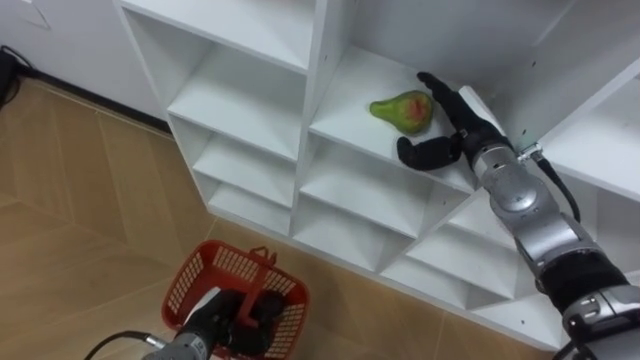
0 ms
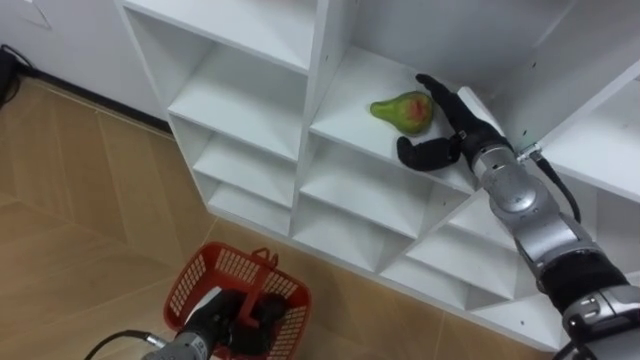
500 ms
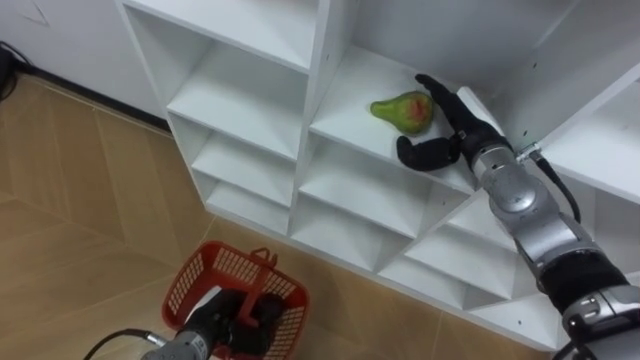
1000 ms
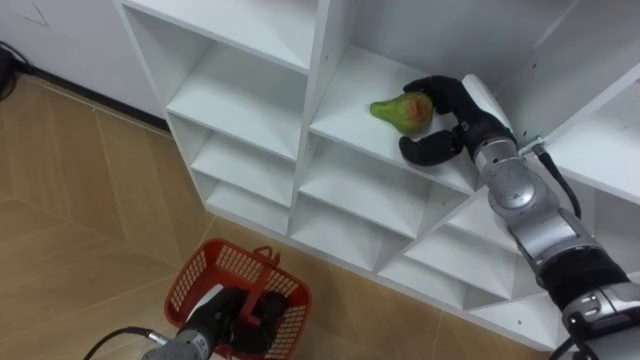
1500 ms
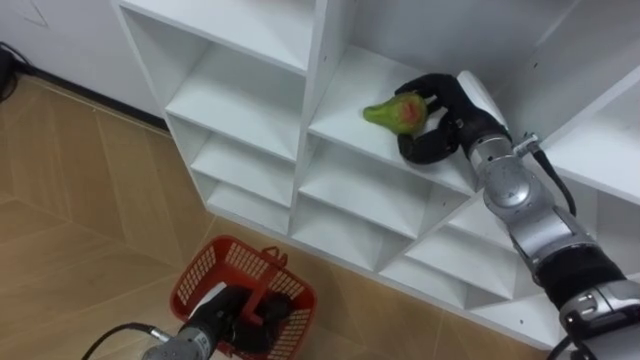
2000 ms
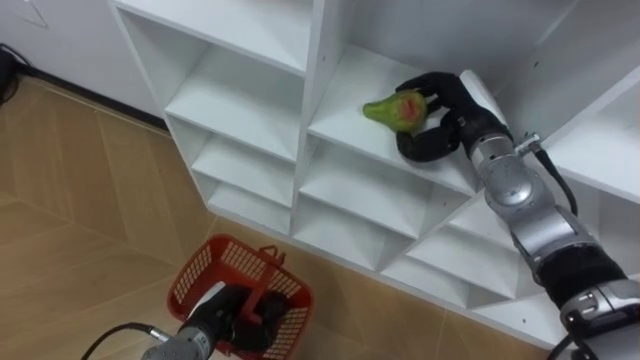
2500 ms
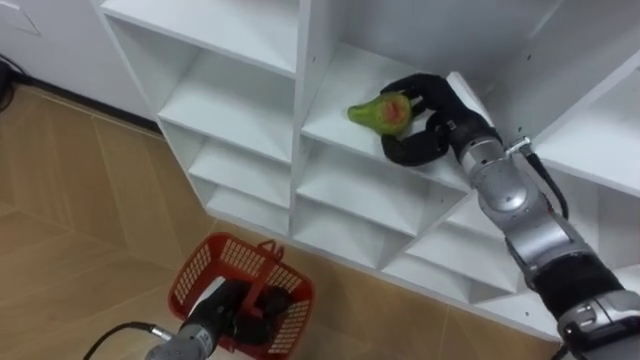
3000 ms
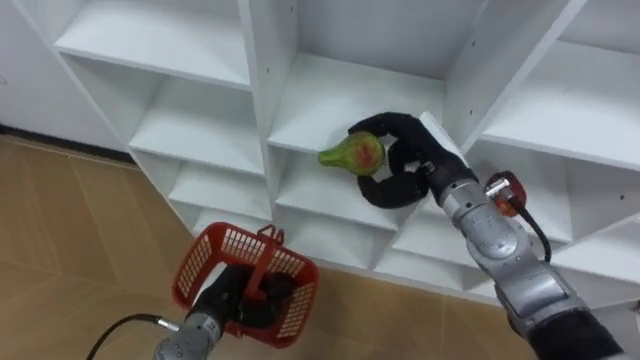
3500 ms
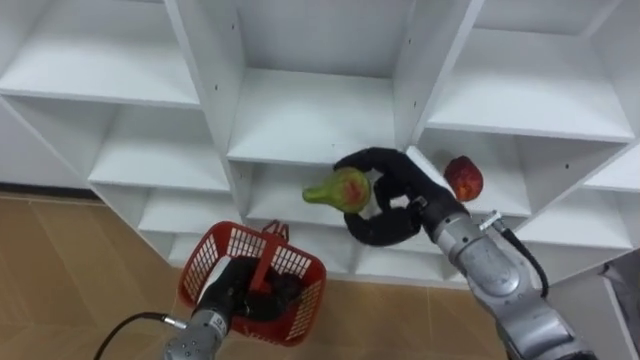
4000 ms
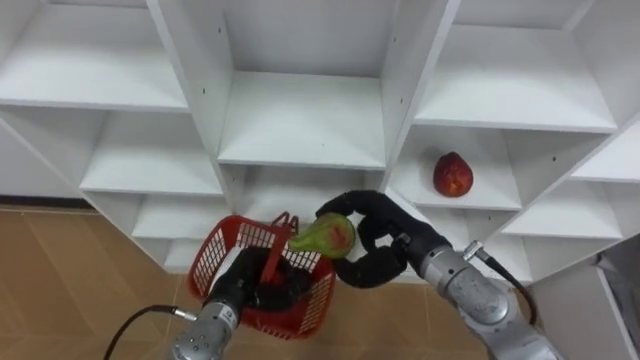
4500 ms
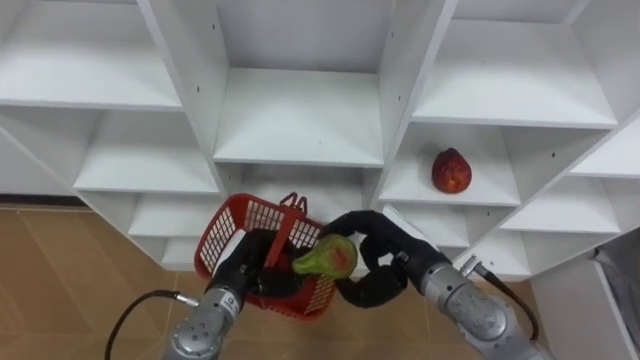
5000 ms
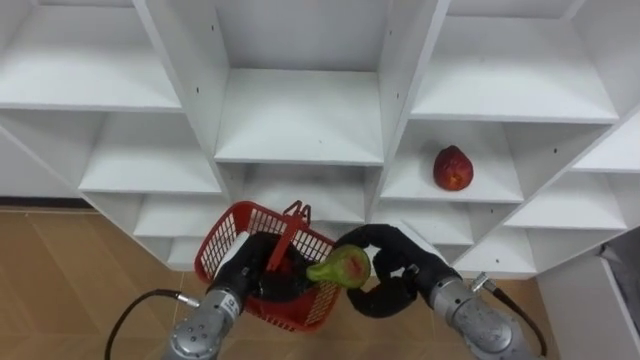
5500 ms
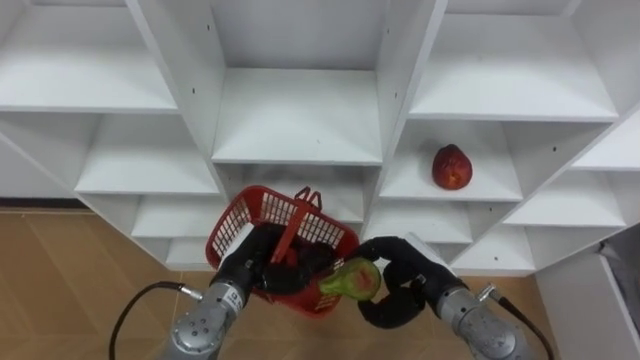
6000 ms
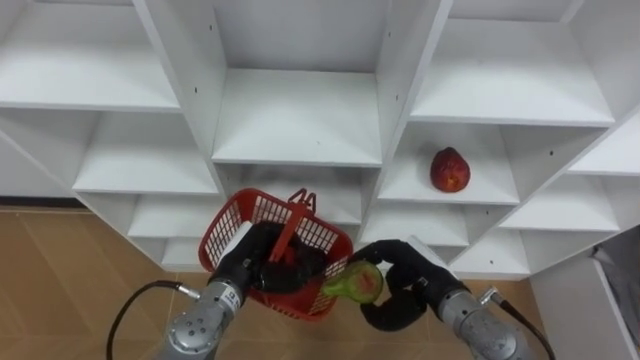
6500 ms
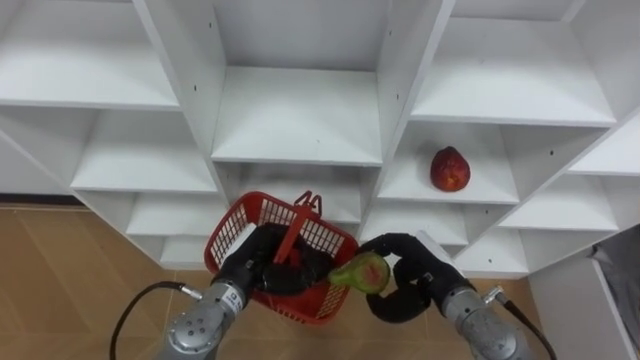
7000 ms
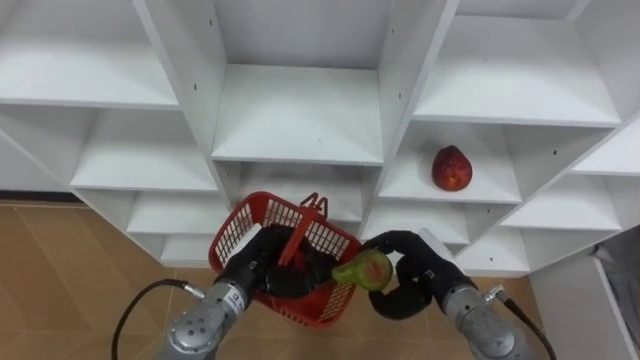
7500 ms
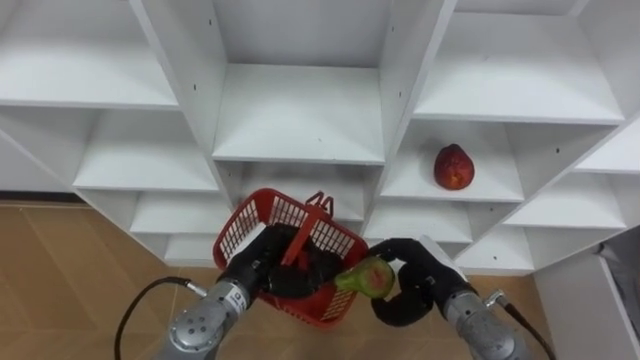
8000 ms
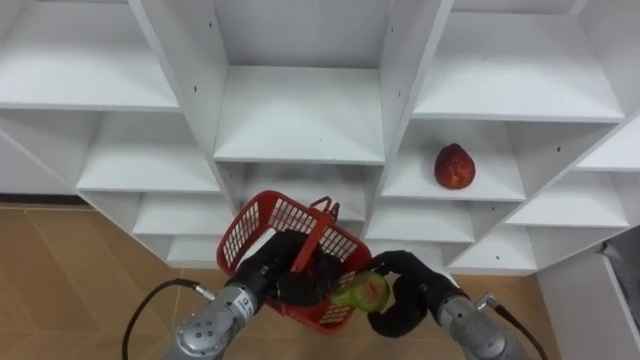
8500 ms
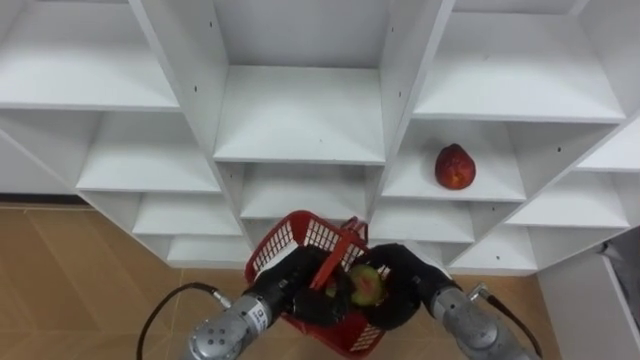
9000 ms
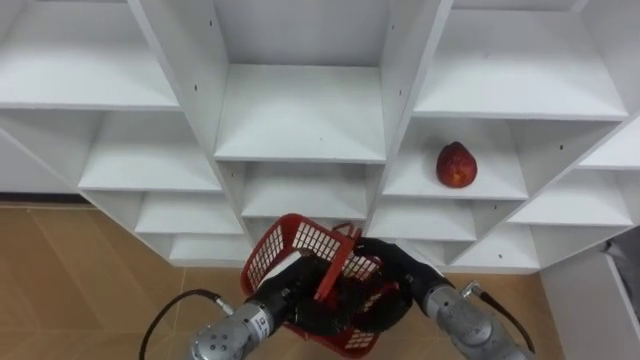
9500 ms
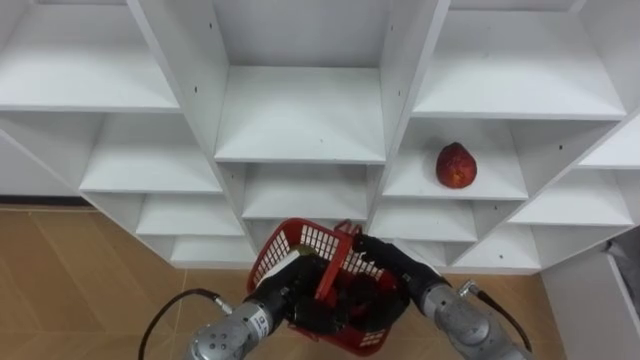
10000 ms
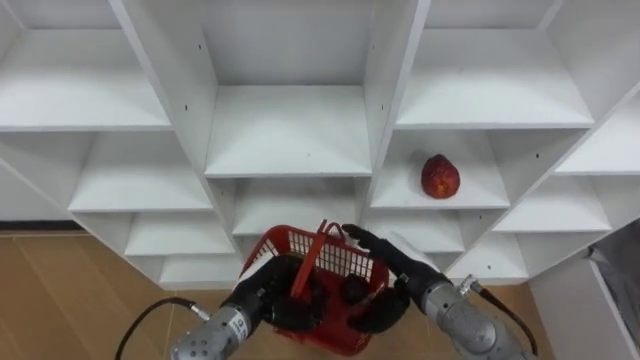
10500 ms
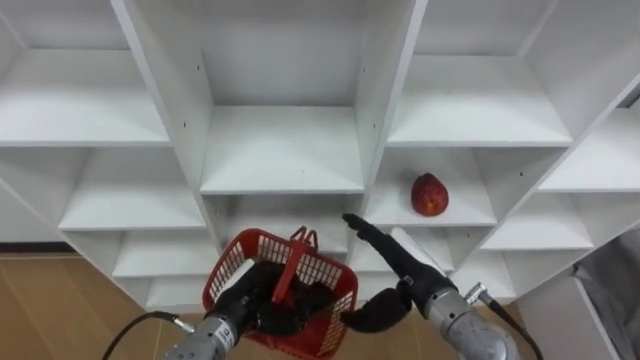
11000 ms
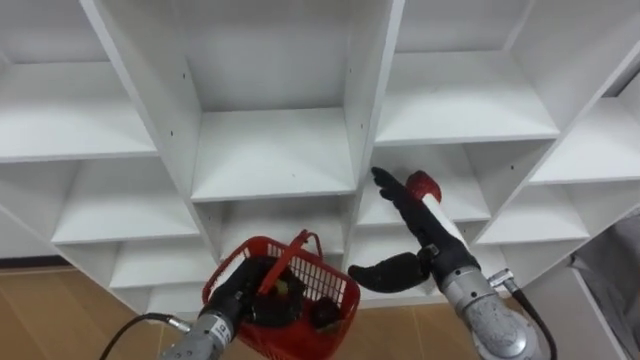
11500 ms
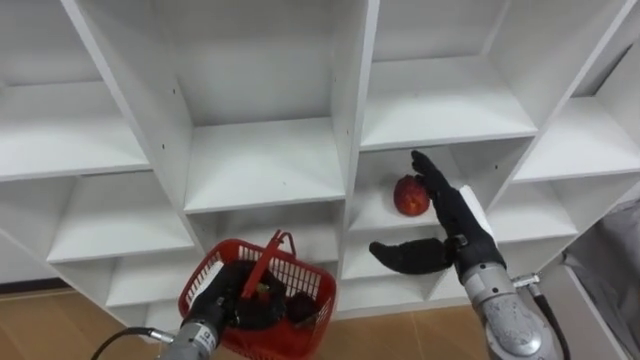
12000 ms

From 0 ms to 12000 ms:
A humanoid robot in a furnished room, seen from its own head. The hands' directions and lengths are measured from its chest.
Task of the whole recording: Hold the basket and collect the fruits from 3 different cells of the closet into it.
From 0 ms to 2000 ms: The right hand closes its fingers.
From 2000 ms to 4000 ms: The right hand shifts some 10 cm backward and to the left.
From 4000 ms to 6000 ms: The right hand is displaced downward and backward by approximately 10 cm. The left hand changes place by some 5 cm.
From 6000 ms to 8000 ms: The hands move only a little.
From 8000 ms to 10000 ms: The right hand opens its fingers. Meanwhile the left hand moves some 5 cm.
From 10000 ms to 12000 ms: The right hand travels upward and to the right by some 10 cm. The left hand goes approximately 10 cm to the left.

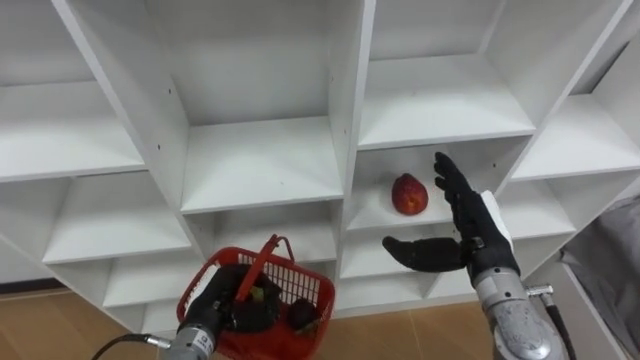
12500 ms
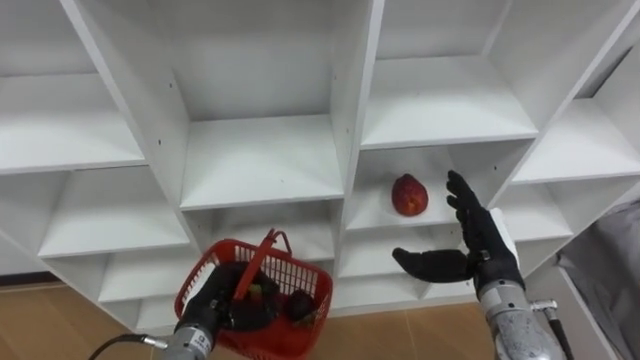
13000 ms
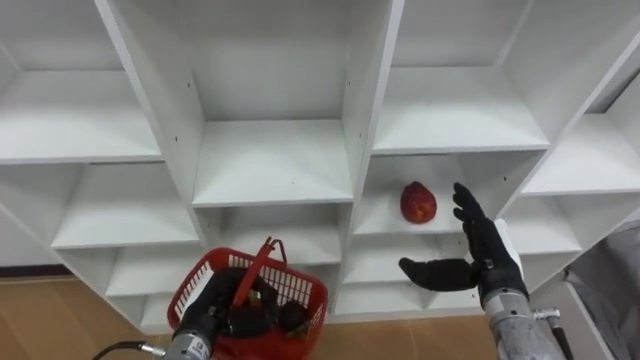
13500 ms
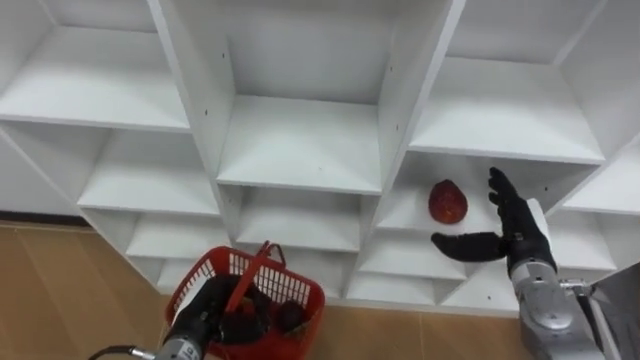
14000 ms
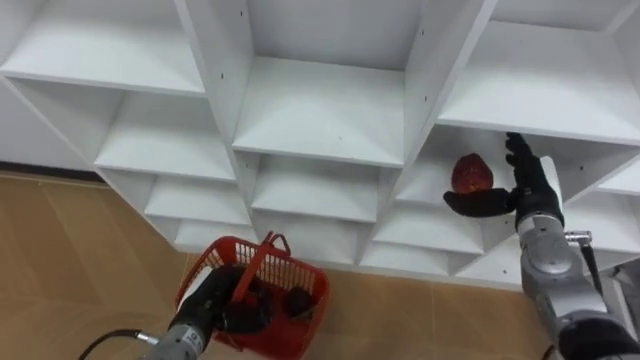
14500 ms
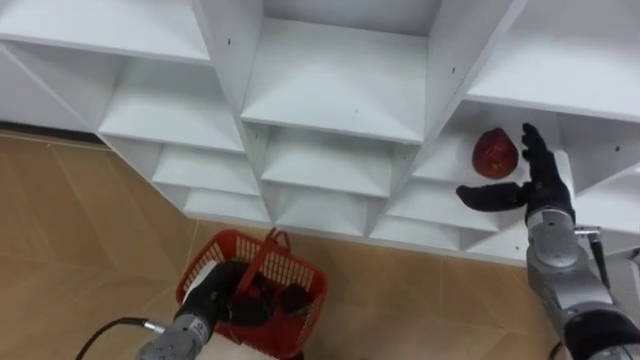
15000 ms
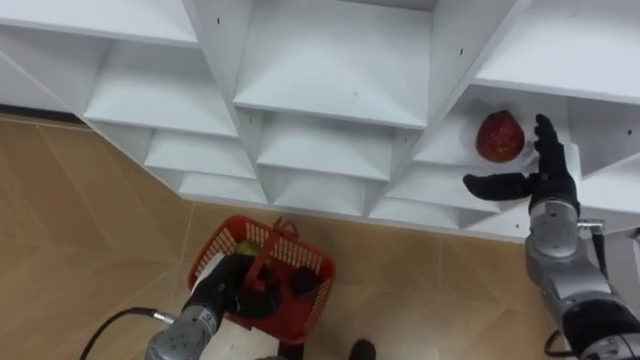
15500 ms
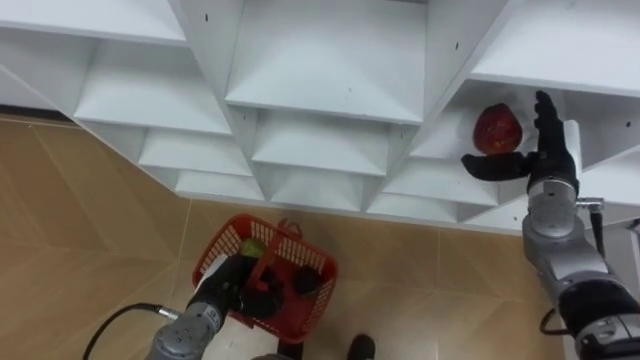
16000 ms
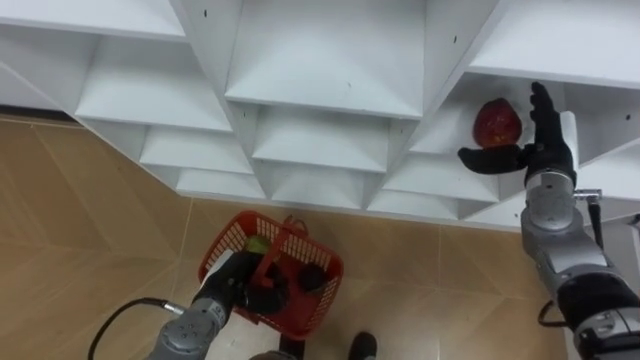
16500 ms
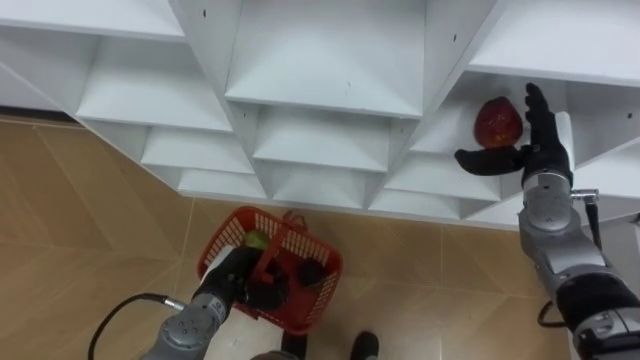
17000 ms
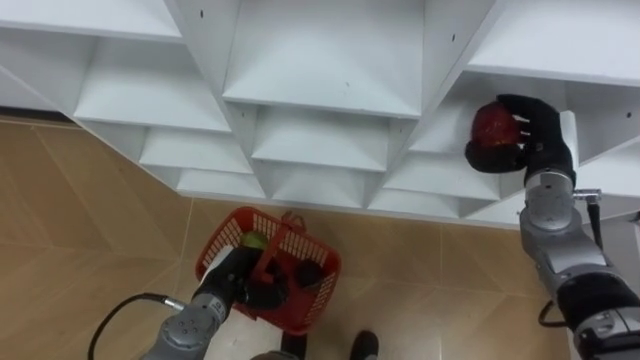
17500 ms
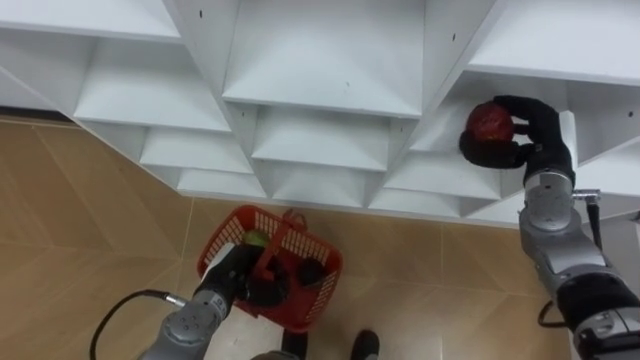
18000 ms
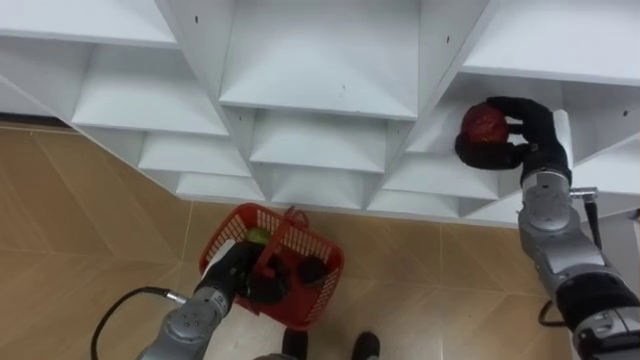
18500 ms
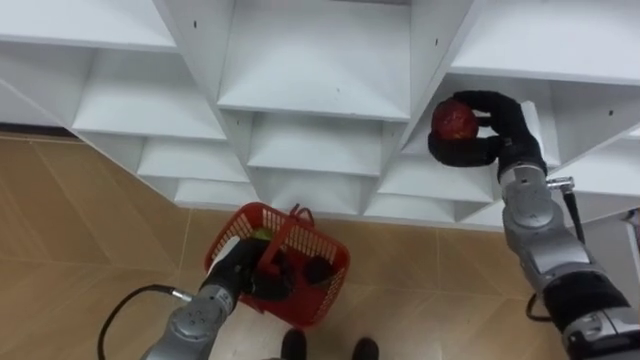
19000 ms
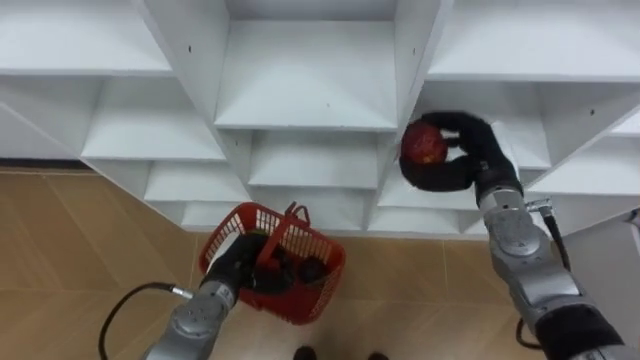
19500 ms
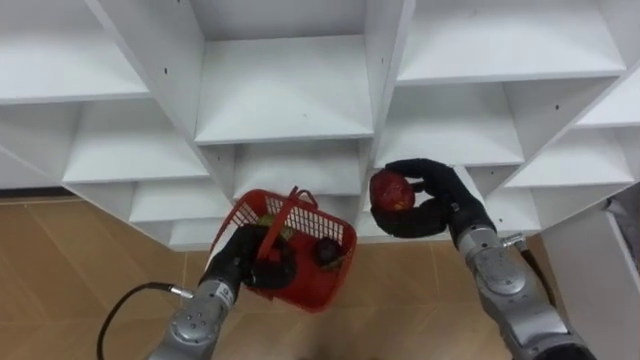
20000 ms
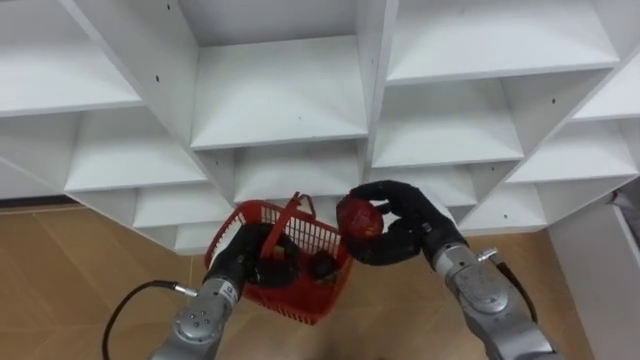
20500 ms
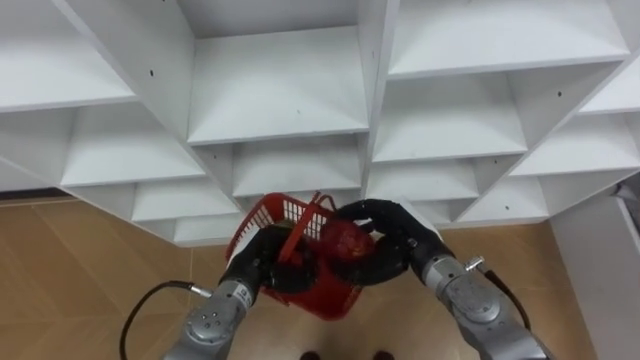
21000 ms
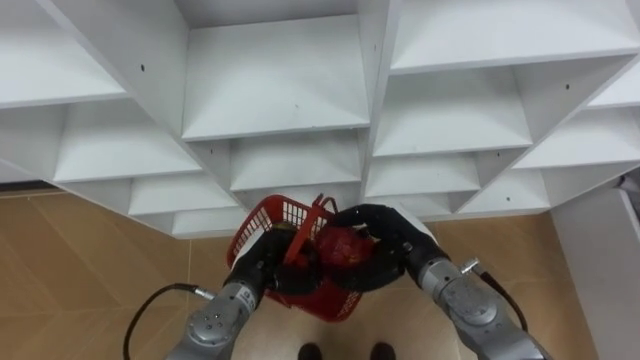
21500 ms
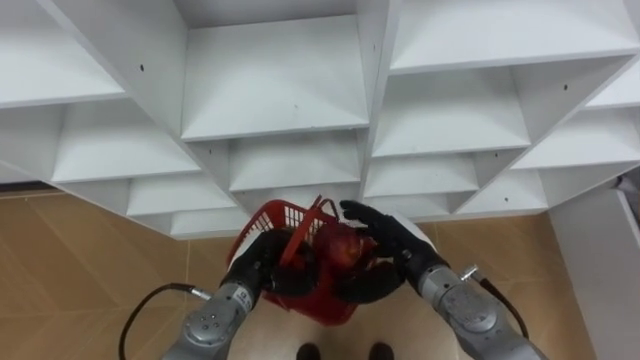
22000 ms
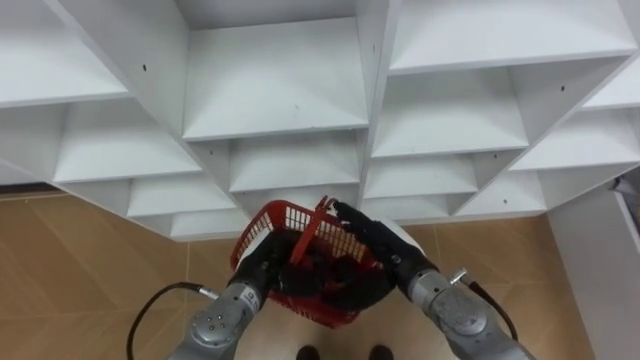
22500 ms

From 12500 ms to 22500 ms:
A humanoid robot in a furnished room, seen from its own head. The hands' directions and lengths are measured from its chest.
Task of the whole recording: Hold the basket and collect the fruits from 3 different cells of the closet into it.
From 12500 ms to 14500 ms: The right hand heads to the right and forward, covering some 10 cm.
From 14500 ms to 16500 ms: The right hand changes place by about 5 cm.
From 16500 ms to 18500 ms: The right hand closes.
From 18500 ms to 20500 ms: The right hand shifts some 15 cm to the left, backward and downward.
From 20500 ms to 22500 ms: The right hand changes place by approximately 5 cm, and opens.
